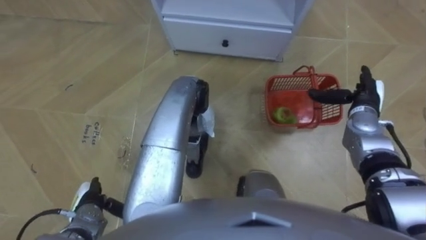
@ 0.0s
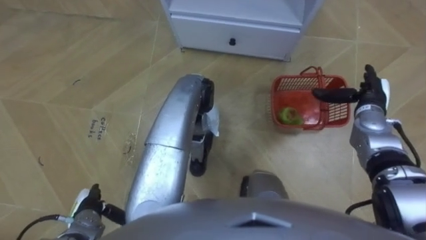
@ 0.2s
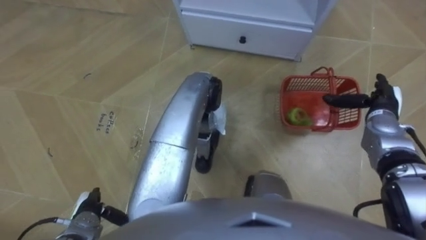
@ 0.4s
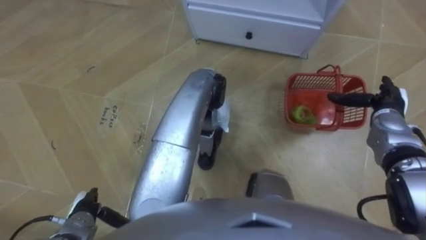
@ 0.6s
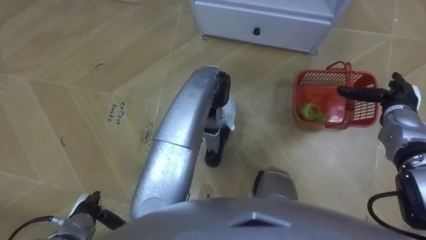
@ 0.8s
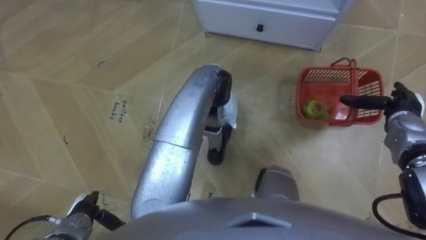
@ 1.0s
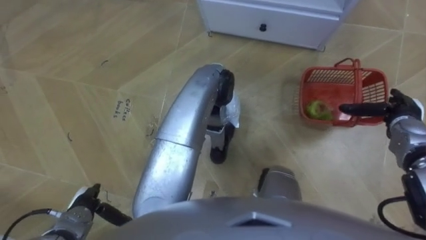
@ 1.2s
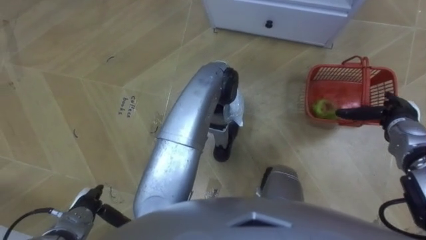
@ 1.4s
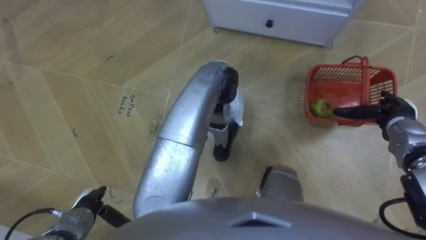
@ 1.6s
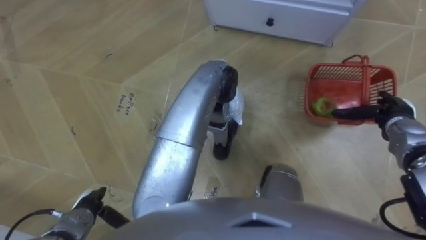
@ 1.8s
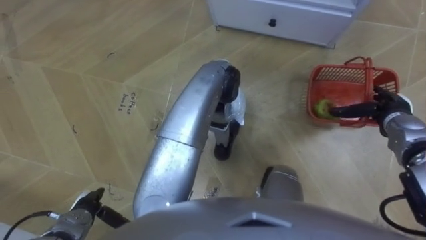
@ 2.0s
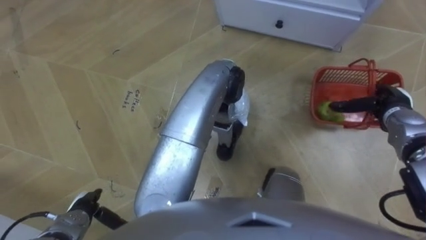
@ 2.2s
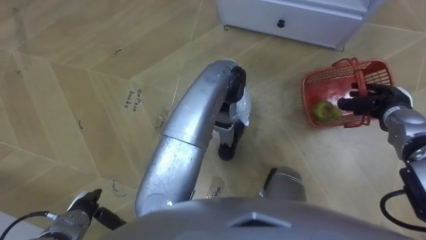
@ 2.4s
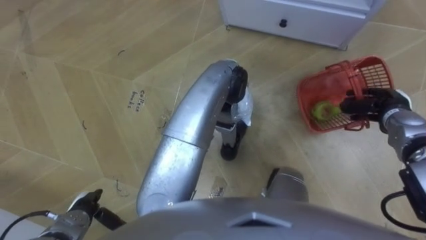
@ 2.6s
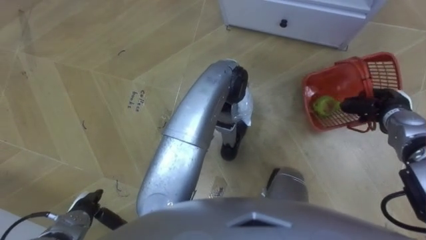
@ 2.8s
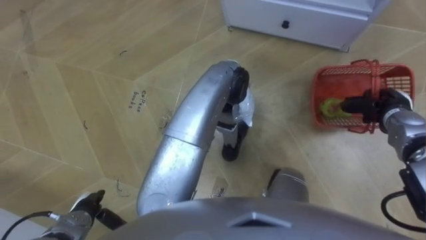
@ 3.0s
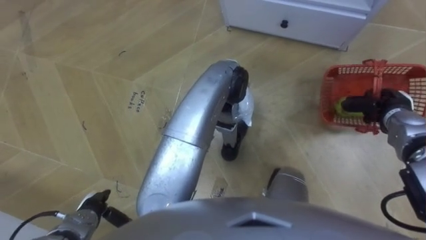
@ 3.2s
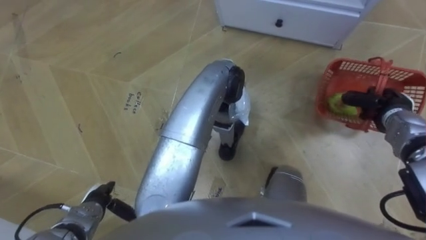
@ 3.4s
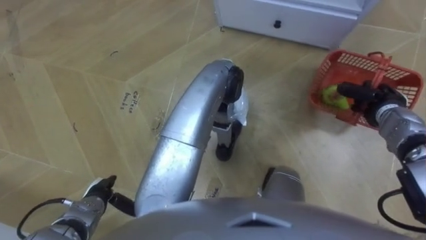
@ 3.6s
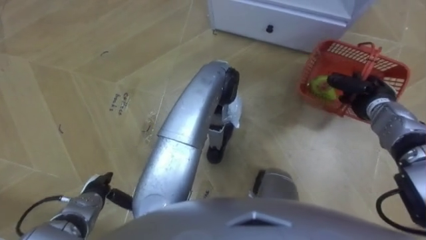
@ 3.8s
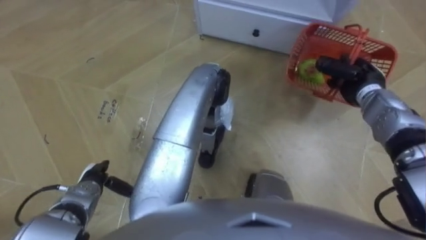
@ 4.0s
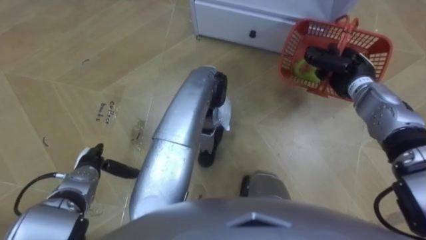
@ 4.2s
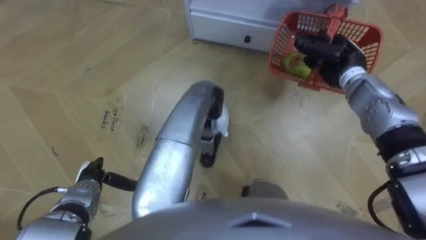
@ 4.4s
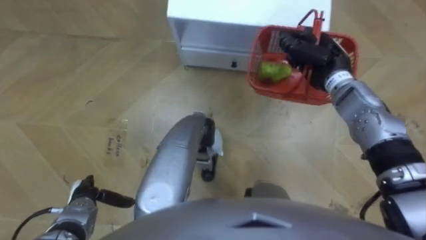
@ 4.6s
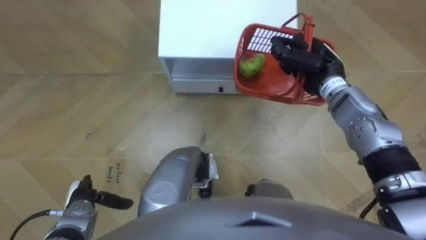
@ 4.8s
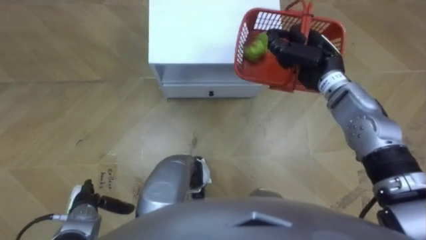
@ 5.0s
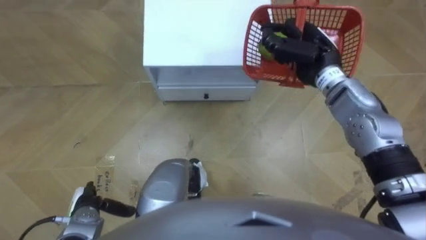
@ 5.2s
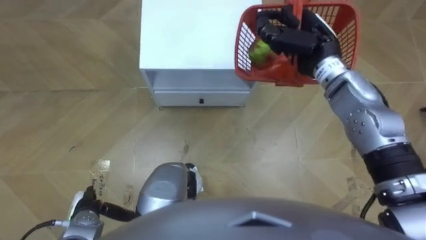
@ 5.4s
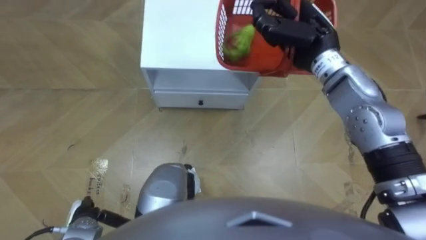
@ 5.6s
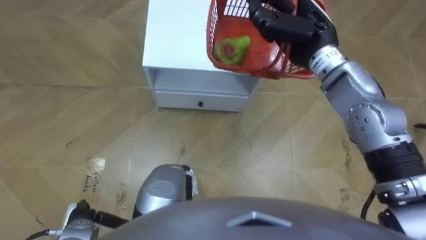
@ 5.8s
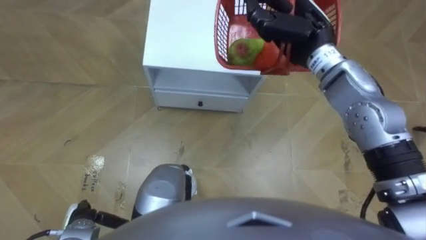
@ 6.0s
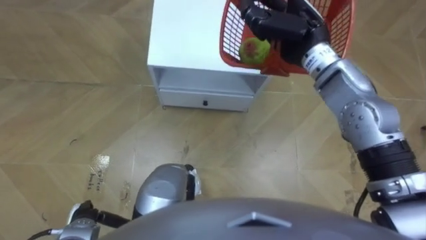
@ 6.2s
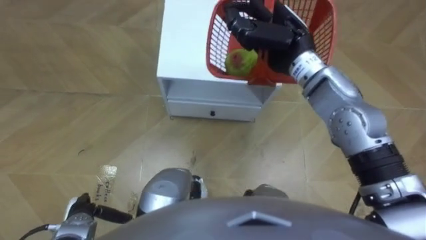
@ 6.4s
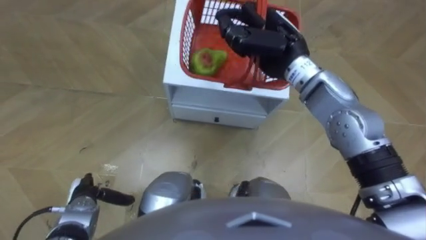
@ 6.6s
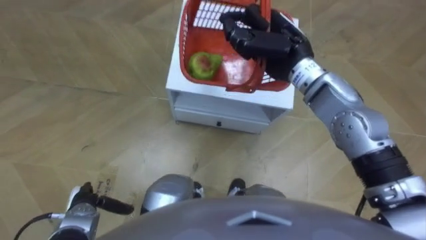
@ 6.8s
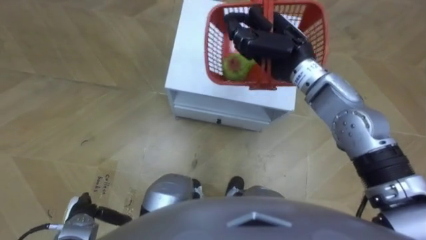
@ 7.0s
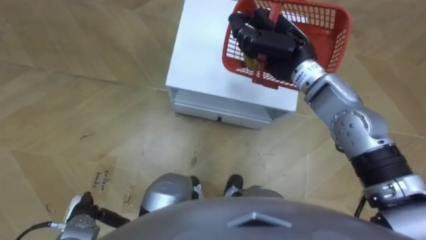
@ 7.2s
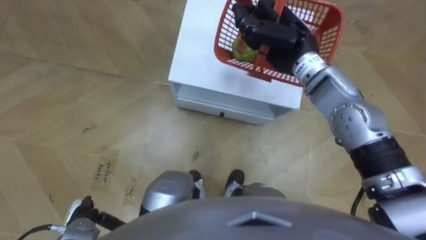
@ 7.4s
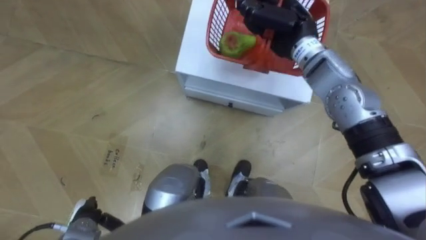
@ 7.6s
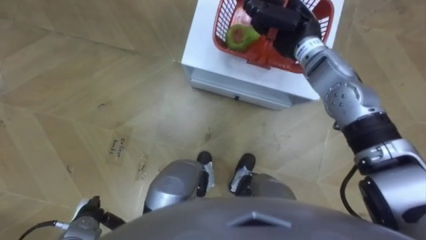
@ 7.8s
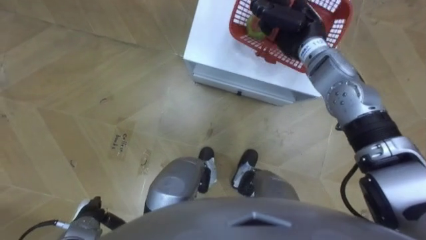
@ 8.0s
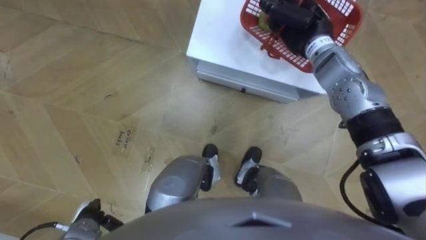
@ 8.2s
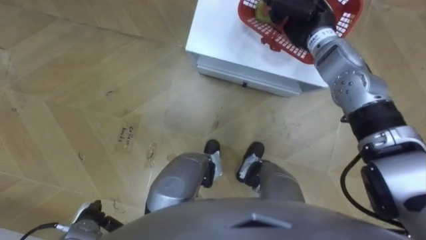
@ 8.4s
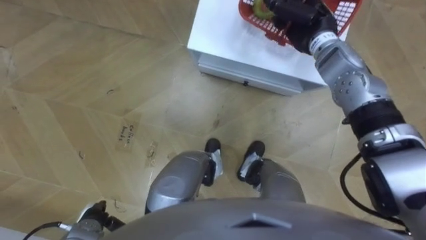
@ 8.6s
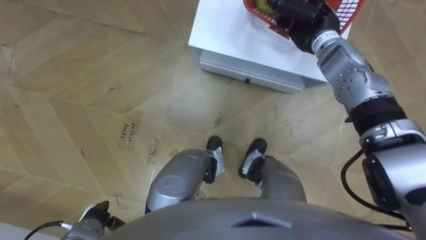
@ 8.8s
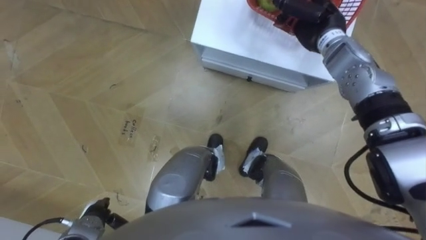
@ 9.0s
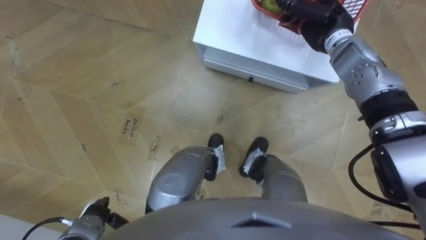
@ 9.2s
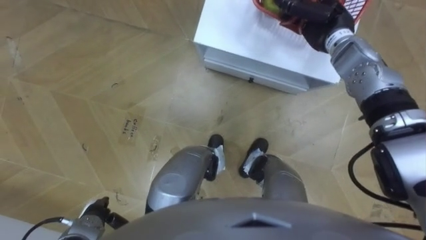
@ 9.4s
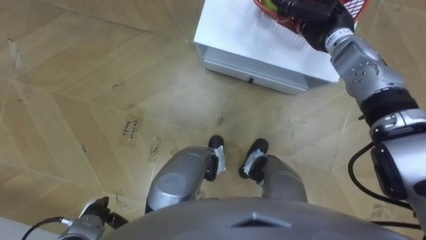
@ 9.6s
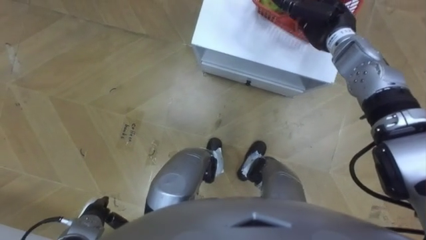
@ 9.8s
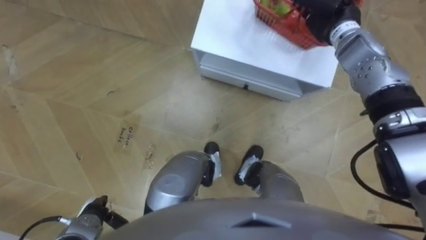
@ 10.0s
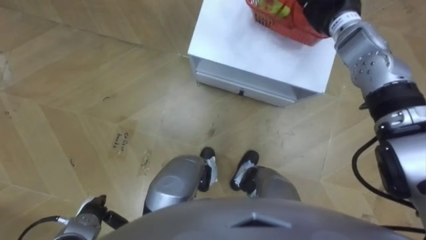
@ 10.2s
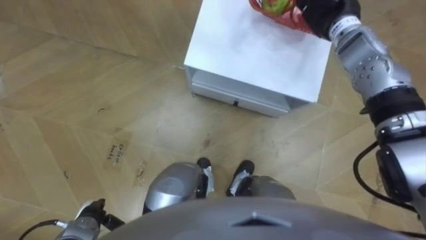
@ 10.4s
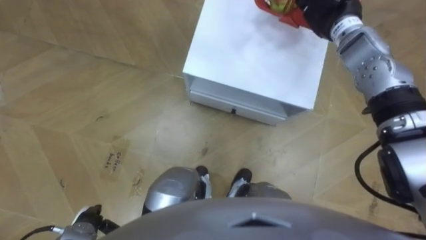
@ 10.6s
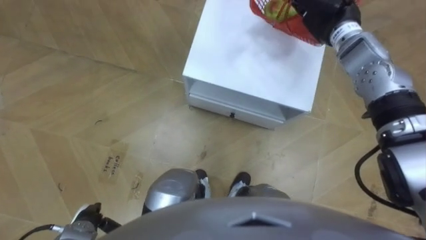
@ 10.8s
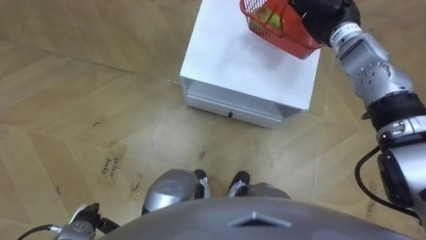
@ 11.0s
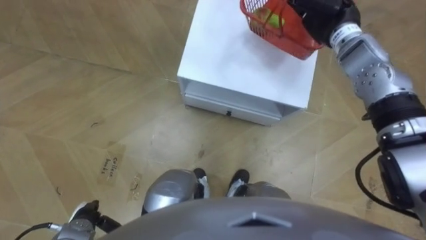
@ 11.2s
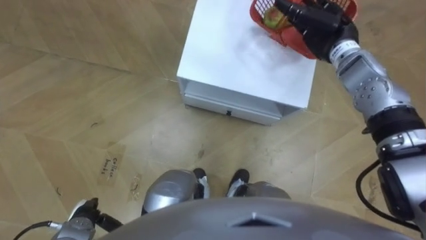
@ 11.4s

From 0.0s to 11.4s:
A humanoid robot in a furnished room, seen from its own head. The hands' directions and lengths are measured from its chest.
Task of the whole recording: Pick up the fruit basket from the floor and place it on the cabinet.
From 0.0s to 1.4s: The right hand goes roughly 5 cm to the right.
From 1.4s to 2.8s: The right hand closes.
From 2.8s to 4.2s: The right hand travels to the left and forward by some 10 cm; the left hand shifts roughly 10 cm forward.
From 4.2s to 5.6s: The robot turns to its right by roughly 15 degrees. The right hand shifts about 15 cm to the left and upward, while the left hand travels backward by roughly 10 cm.
From 7.2s to 8.6s: The right hand goes approximately 10 cm forward and to the right.
From 8.6s to 10.0s: The right hand opens.

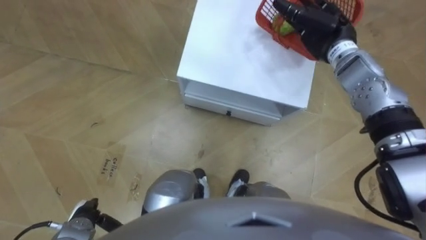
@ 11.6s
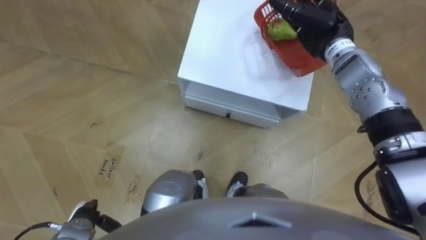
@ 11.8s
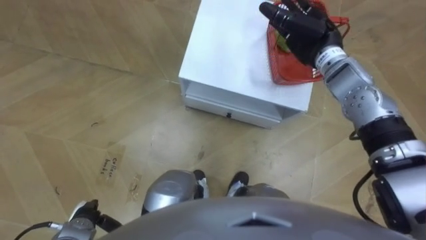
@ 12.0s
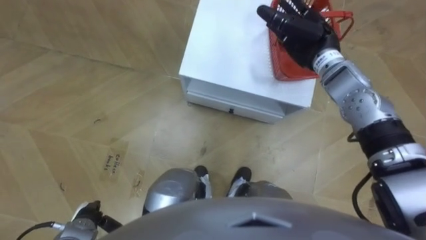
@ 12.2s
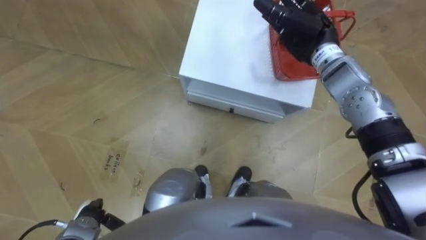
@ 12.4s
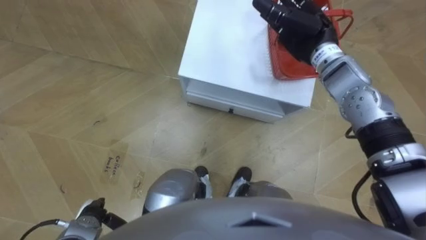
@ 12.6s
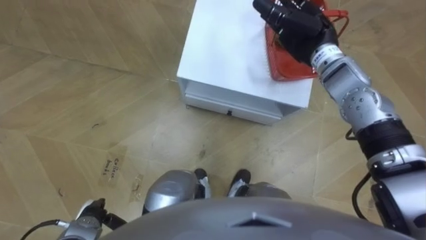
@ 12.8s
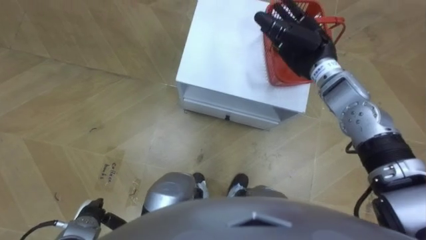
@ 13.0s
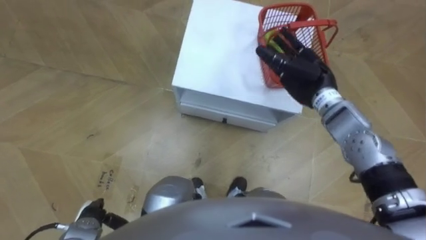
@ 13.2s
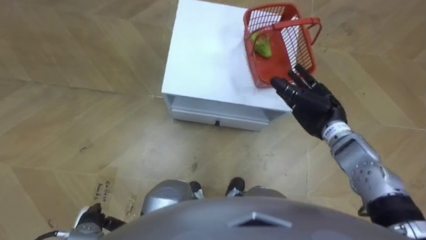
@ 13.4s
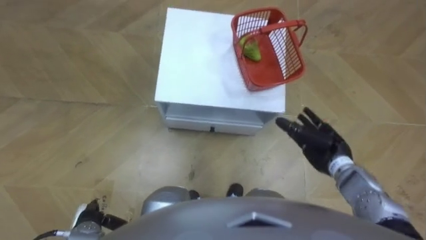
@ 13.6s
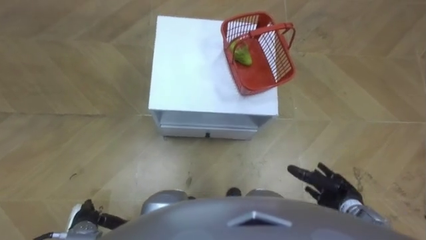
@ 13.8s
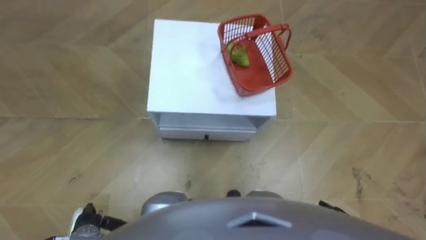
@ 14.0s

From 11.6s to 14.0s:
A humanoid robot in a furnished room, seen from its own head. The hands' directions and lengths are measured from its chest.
Task of the whole recording: Pick up the fruit basket from the floor and place it on the cabinet.
From 12.8s to 14.0s: The right hand travels backward and downward by some 40 cm.

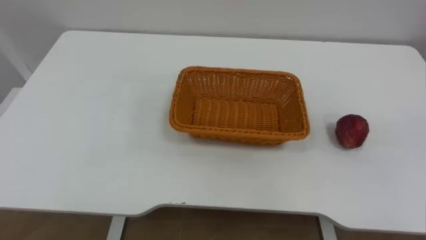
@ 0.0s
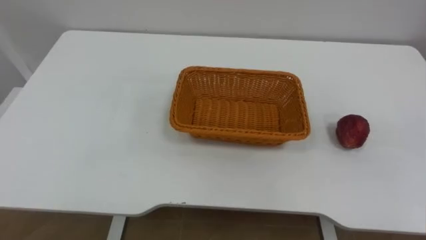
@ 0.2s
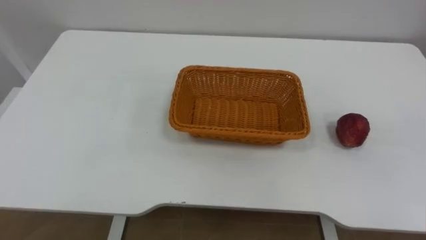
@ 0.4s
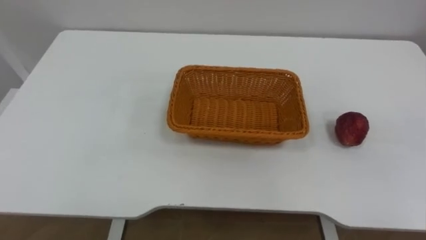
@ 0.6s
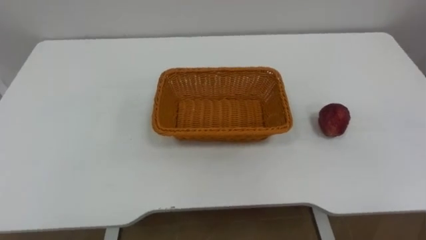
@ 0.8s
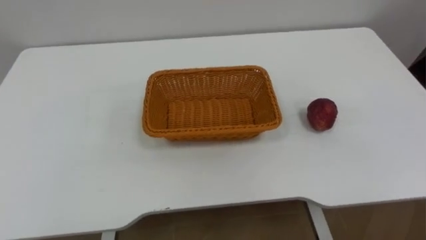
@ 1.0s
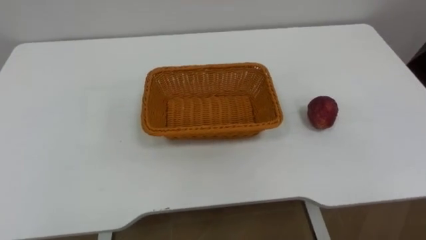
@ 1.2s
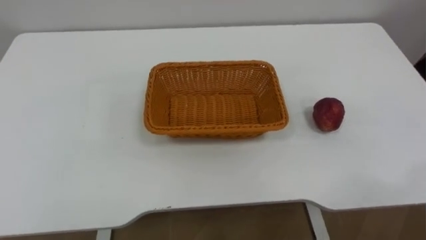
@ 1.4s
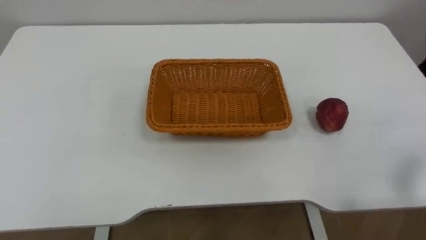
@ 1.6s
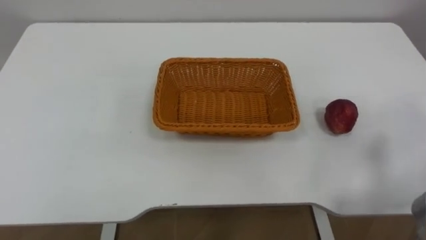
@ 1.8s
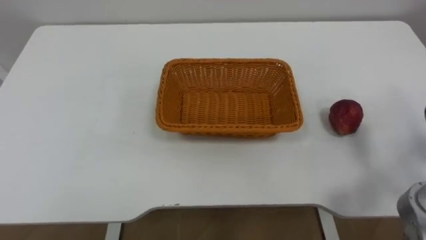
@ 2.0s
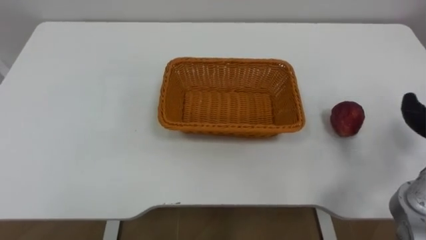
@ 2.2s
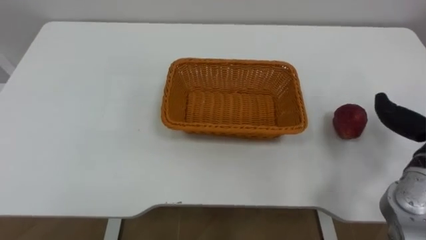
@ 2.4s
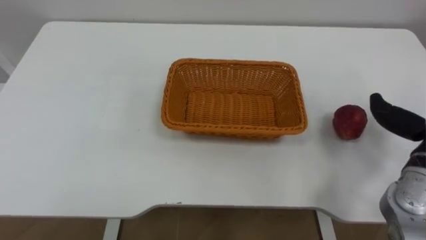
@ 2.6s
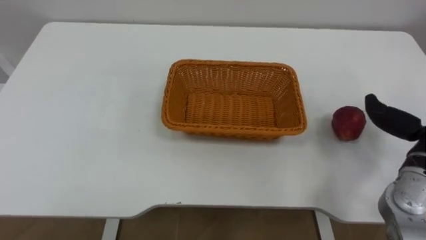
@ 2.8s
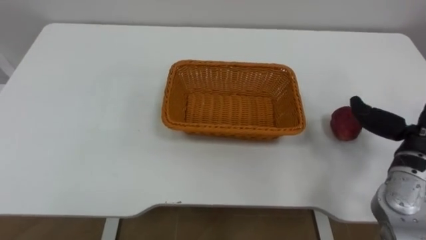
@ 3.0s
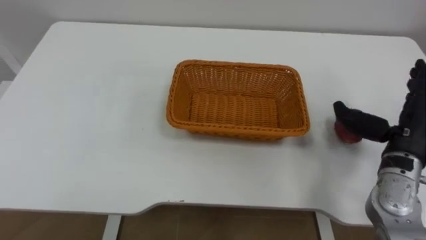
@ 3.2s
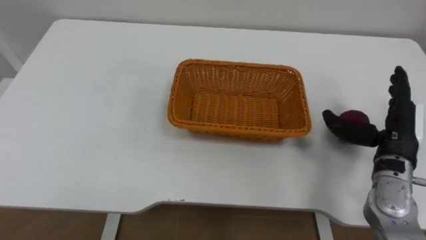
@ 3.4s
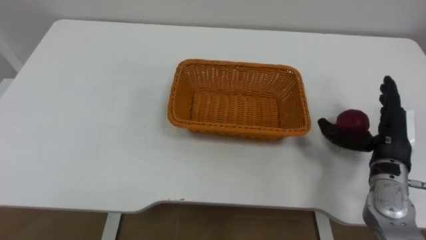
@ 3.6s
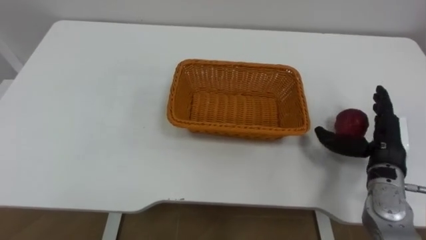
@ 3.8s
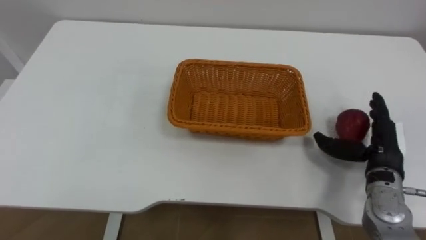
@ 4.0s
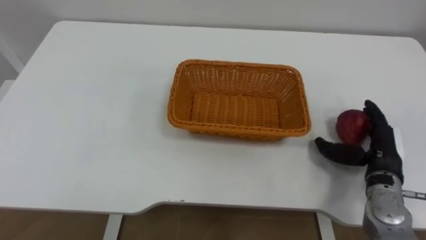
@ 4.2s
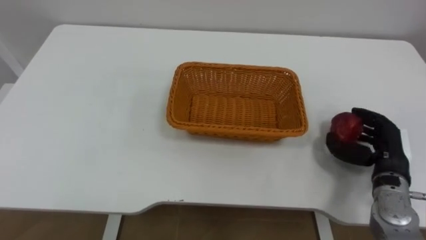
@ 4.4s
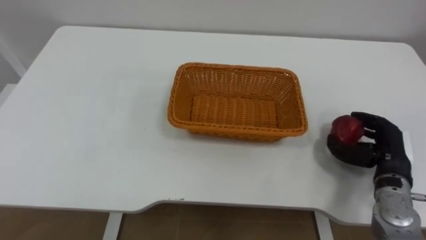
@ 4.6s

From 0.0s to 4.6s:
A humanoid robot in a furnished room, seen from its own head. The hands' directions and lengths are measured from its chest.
Task of the whole recording: Pick the apple and place it in the box.
From 3.0s to 4.6s: The right hand is displaced downward by some 10 cm, and closes its fingers.
